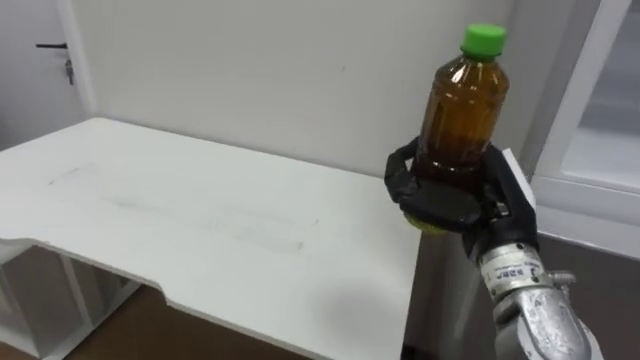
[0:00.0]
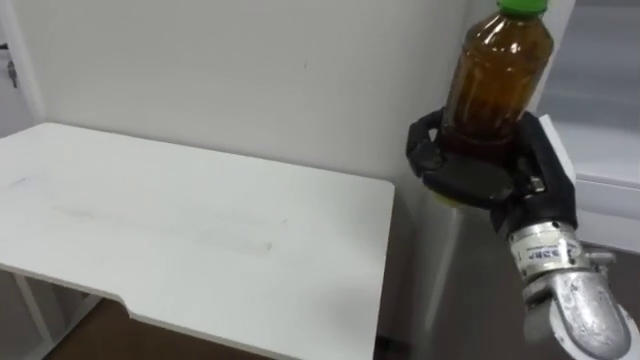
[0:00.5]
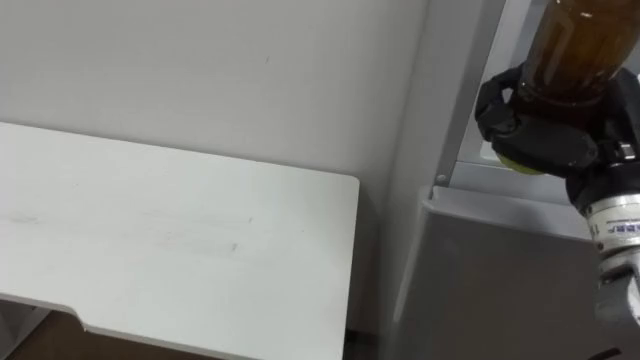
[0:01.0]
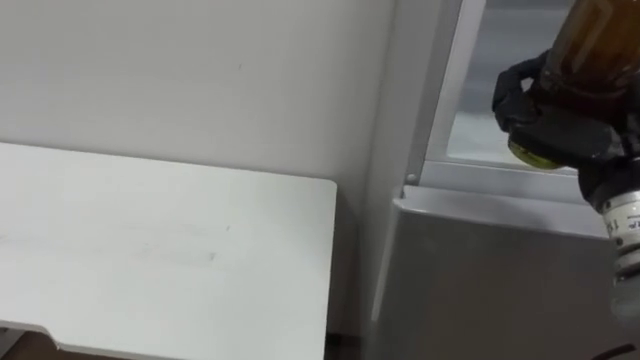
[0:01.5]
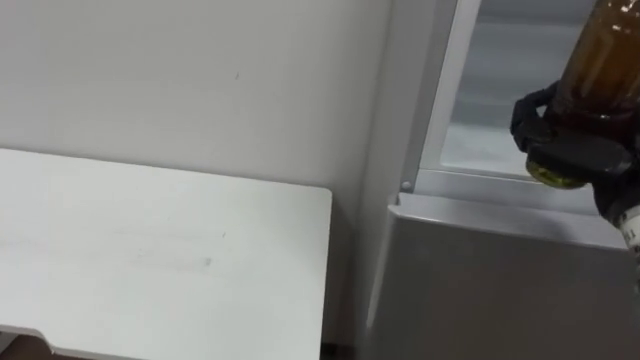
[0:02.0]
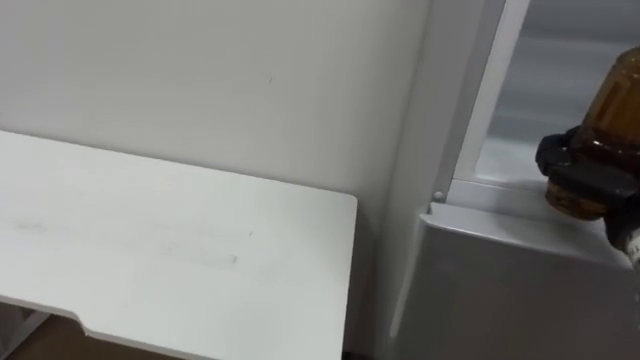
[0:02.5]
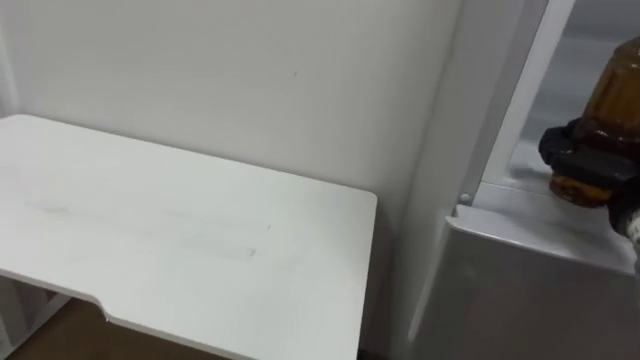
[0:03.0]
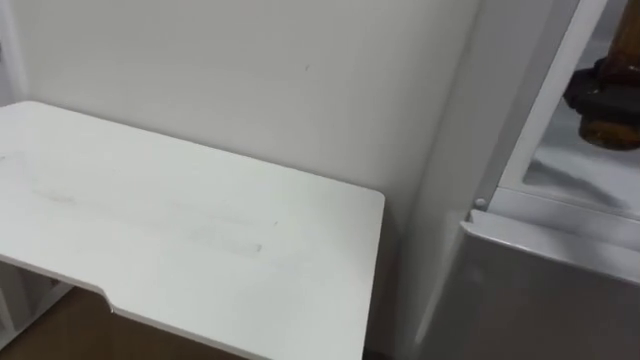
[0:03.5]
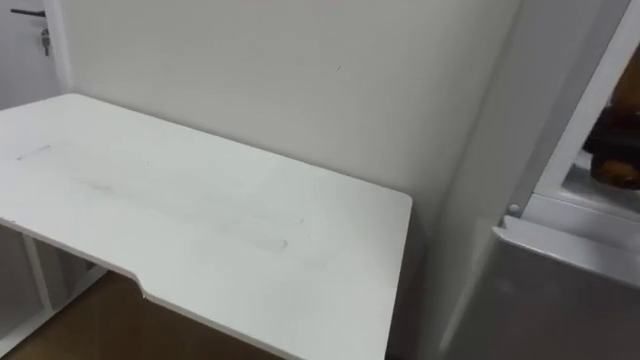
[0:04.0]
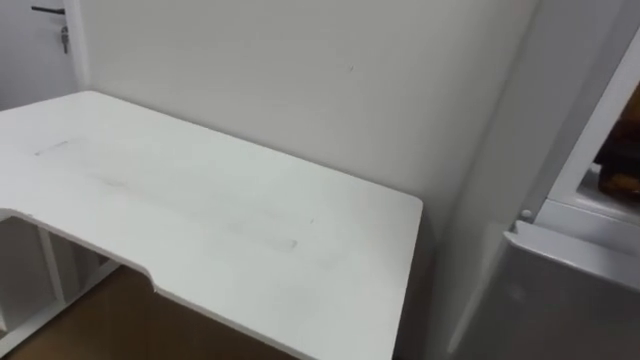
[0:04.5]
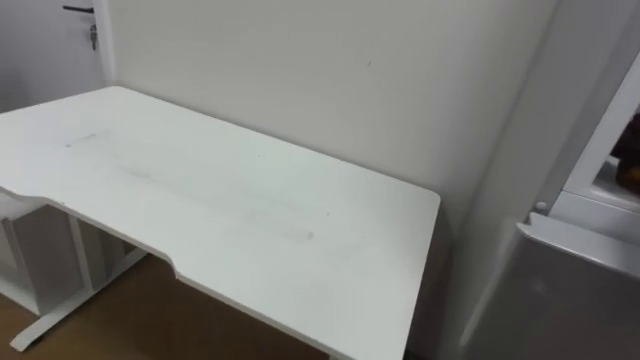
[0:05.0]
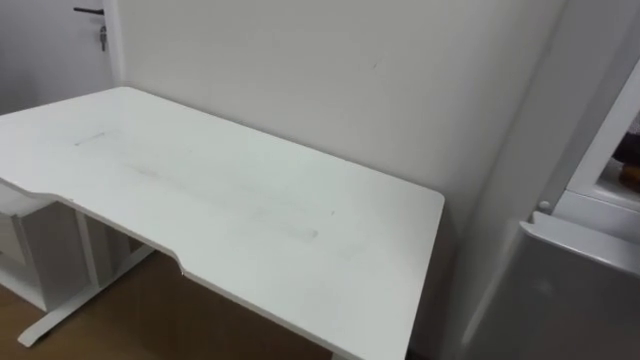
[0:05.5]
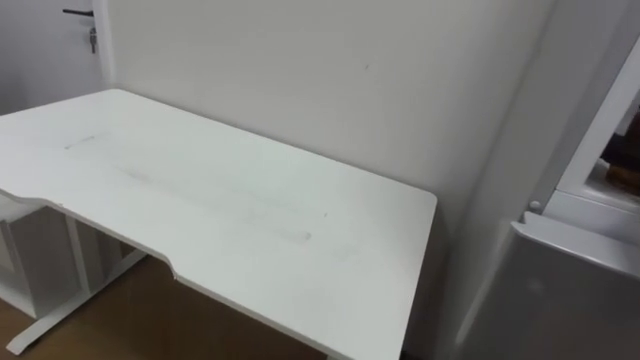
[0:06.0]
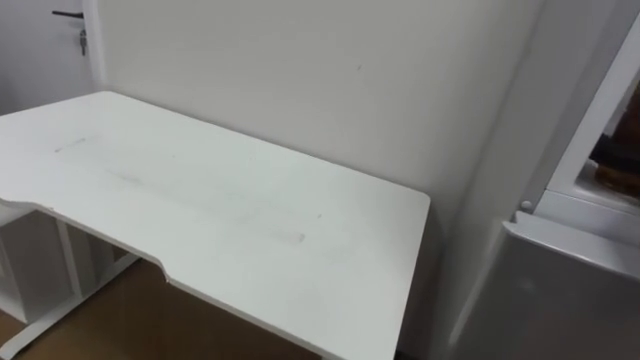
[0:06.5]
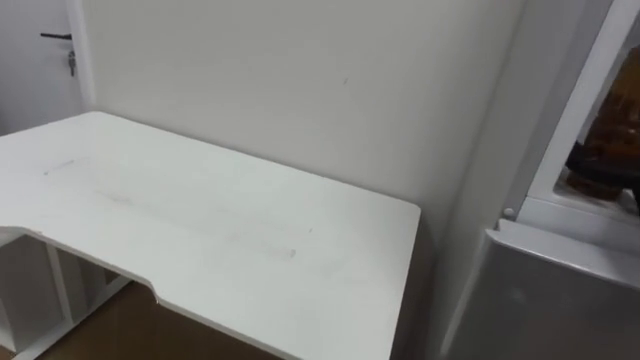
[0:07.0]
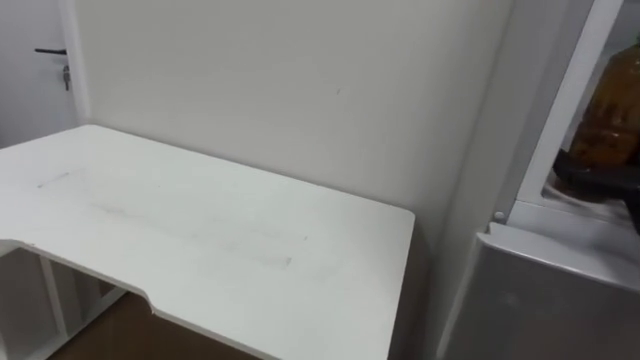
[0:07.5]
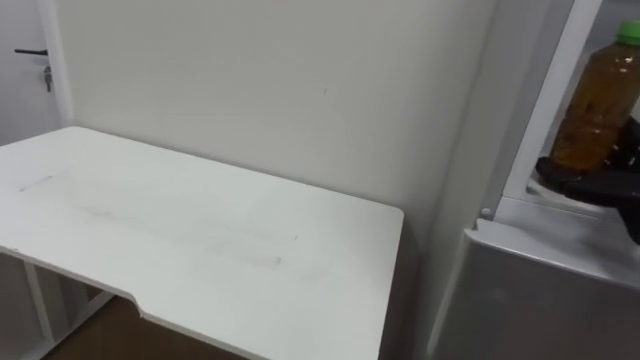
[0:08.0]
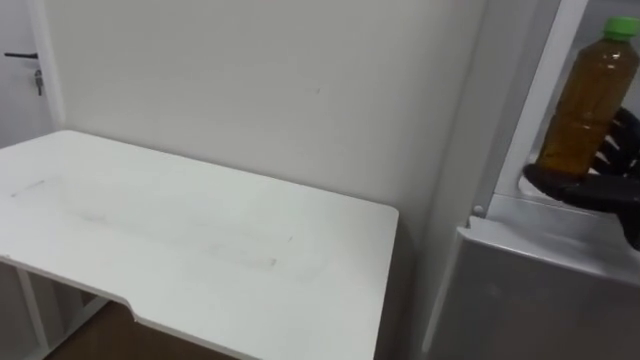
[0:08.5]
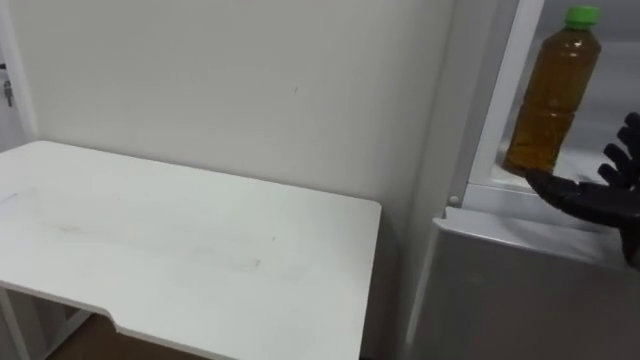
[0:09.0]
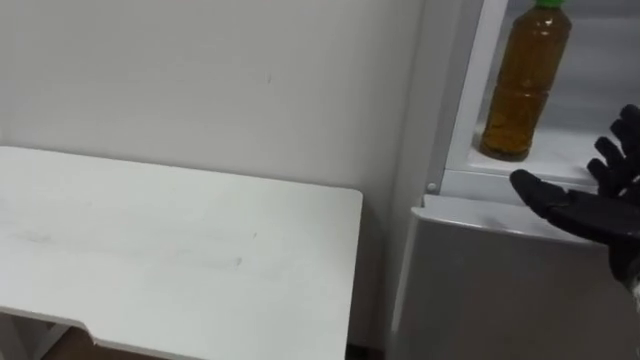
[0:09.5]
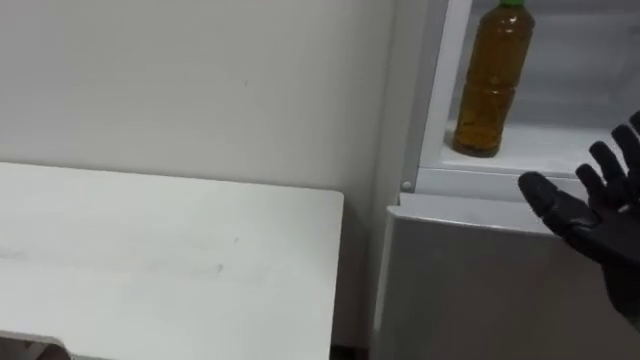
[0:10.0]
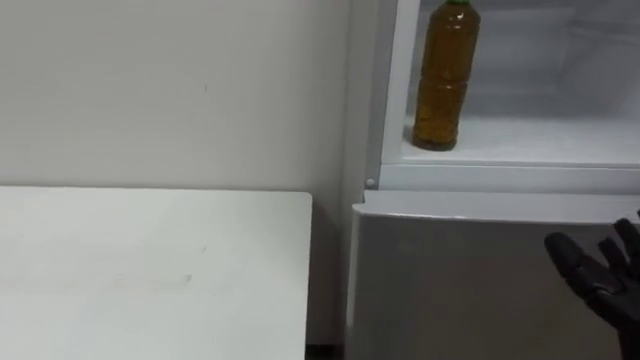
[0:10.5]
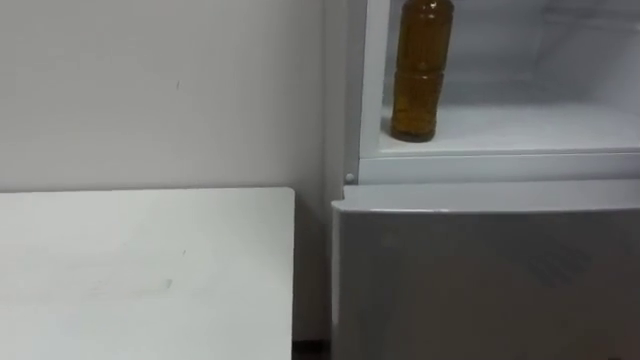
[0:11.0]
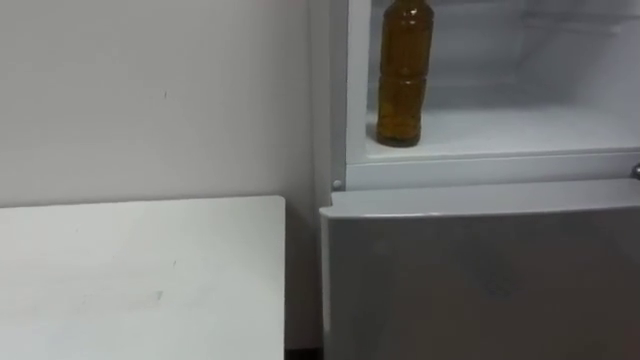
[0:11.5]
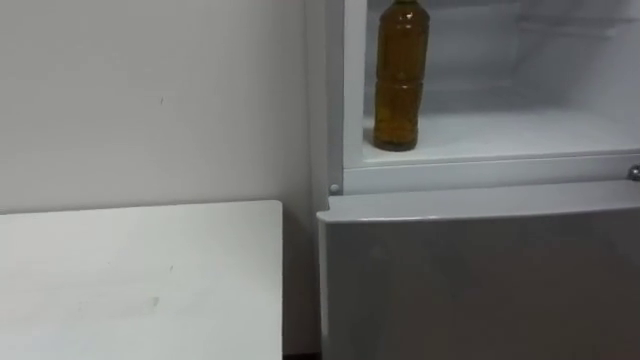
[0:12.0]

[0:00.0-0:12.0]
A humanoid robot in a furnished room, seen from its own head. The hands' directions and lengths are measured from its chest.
Task of the whole recording: Open the upper refrigerator door, put the drink from the table into the refrigerator, and then close the refrigerator door.
0:00.0 to 0:02.0: The right hand travels to the right and upward by approximately 15 cm.
